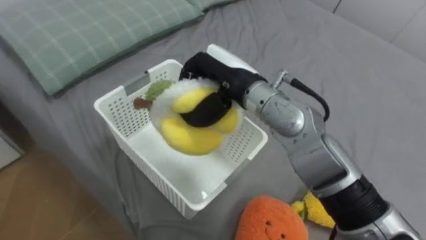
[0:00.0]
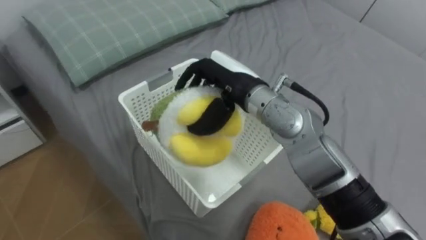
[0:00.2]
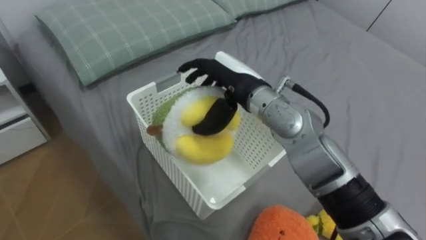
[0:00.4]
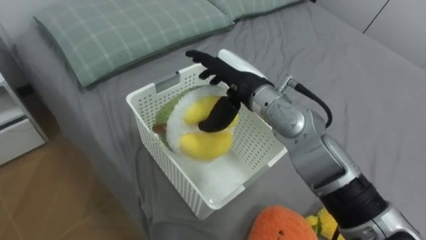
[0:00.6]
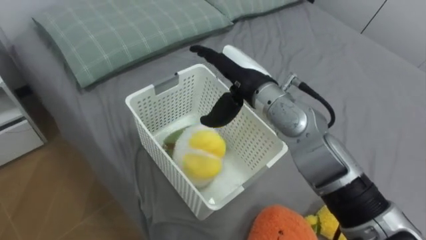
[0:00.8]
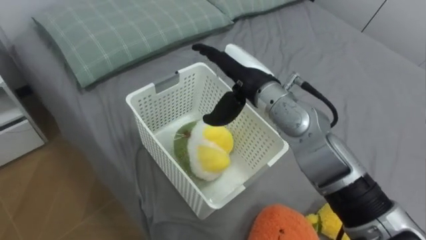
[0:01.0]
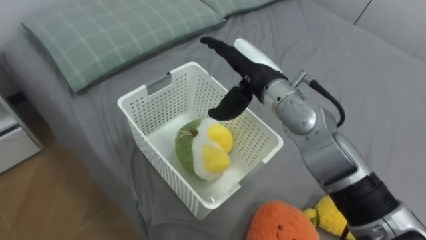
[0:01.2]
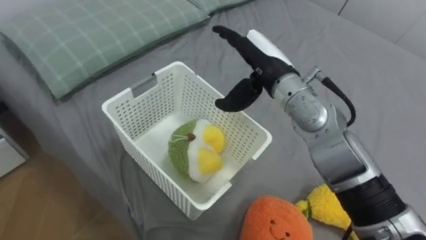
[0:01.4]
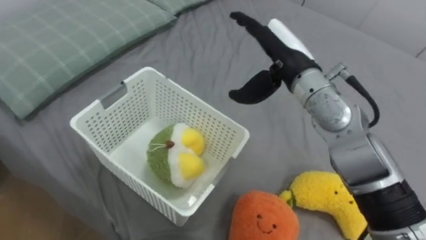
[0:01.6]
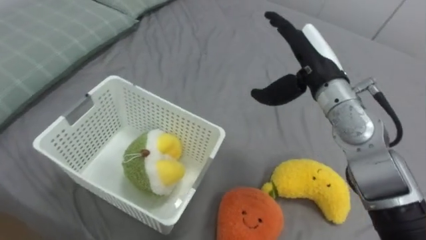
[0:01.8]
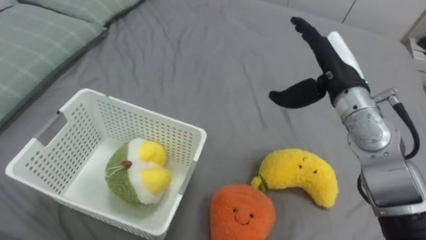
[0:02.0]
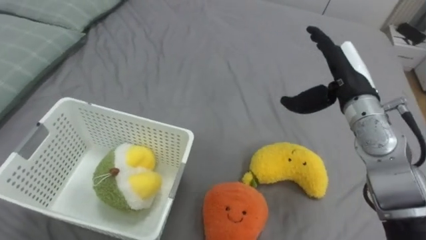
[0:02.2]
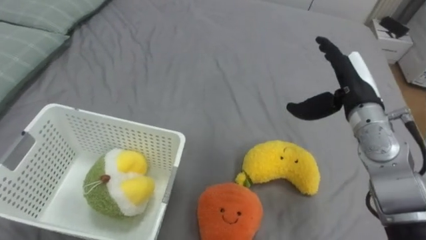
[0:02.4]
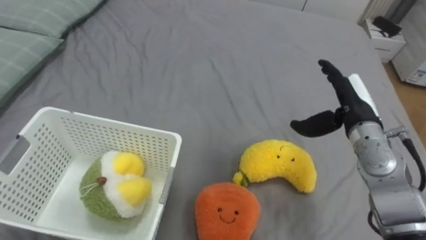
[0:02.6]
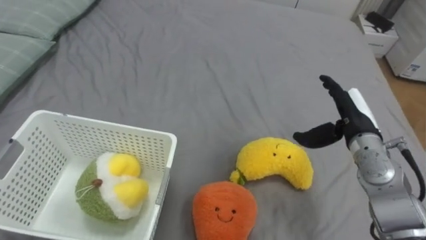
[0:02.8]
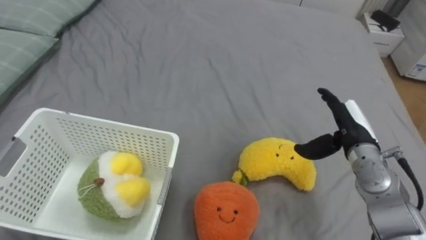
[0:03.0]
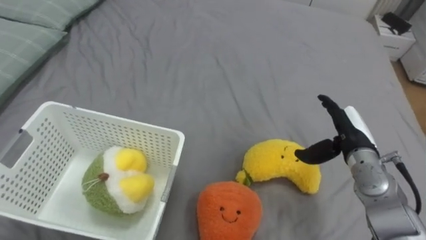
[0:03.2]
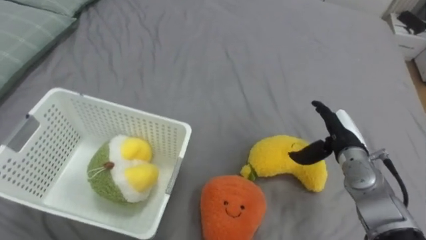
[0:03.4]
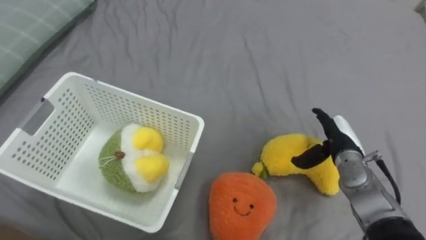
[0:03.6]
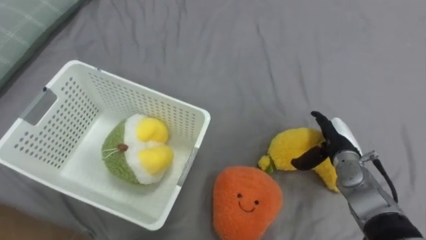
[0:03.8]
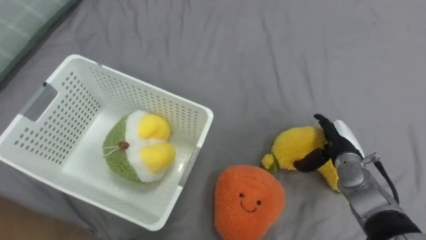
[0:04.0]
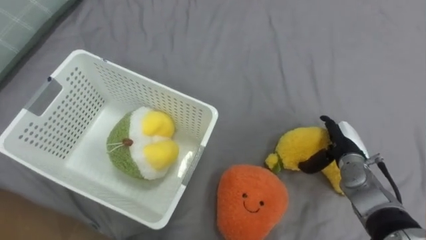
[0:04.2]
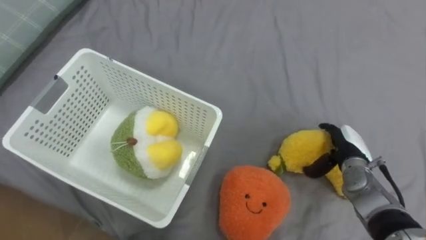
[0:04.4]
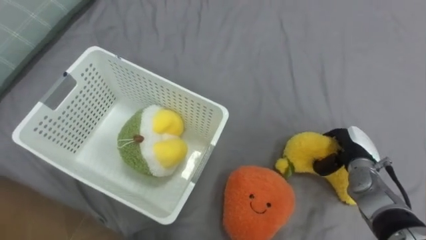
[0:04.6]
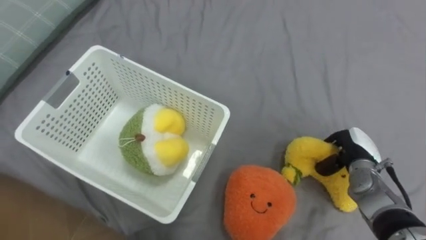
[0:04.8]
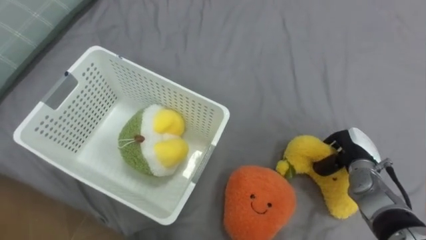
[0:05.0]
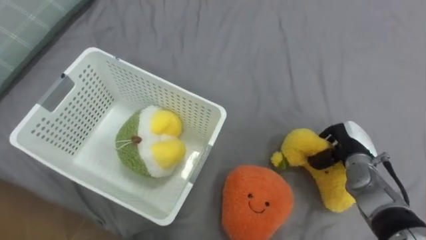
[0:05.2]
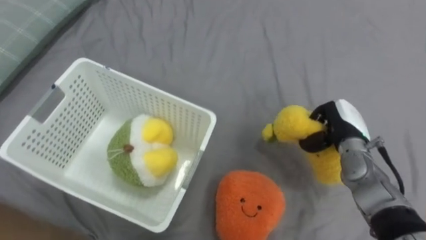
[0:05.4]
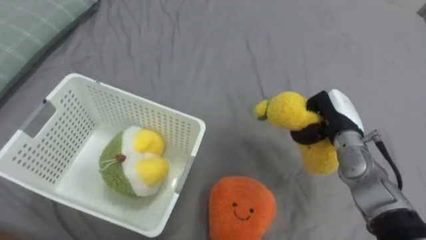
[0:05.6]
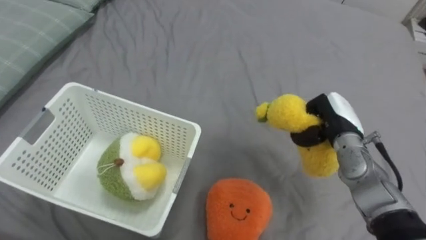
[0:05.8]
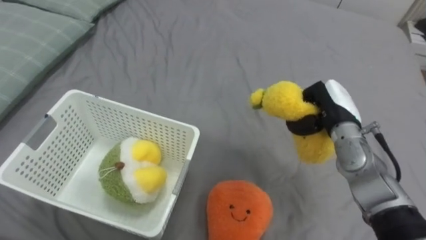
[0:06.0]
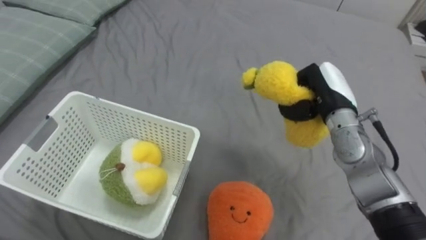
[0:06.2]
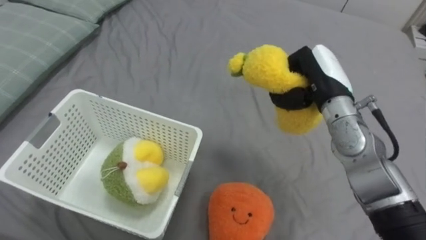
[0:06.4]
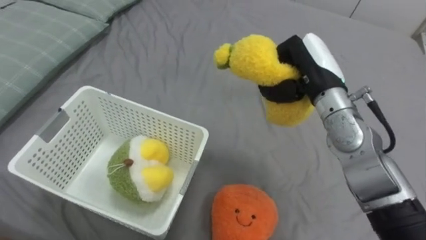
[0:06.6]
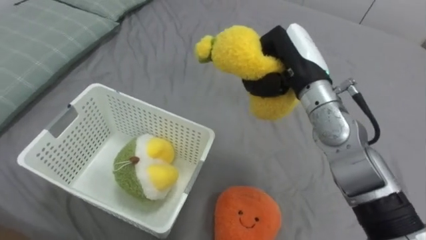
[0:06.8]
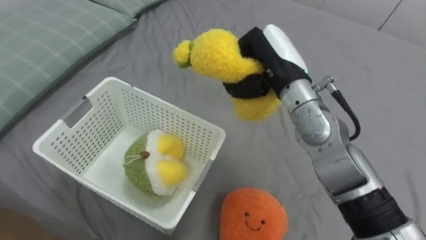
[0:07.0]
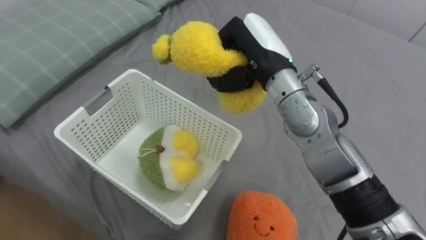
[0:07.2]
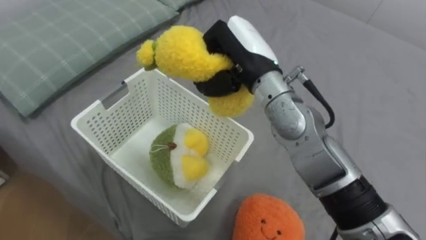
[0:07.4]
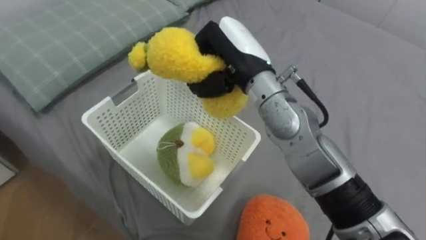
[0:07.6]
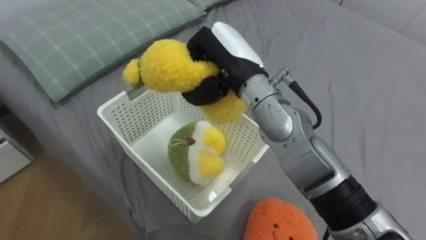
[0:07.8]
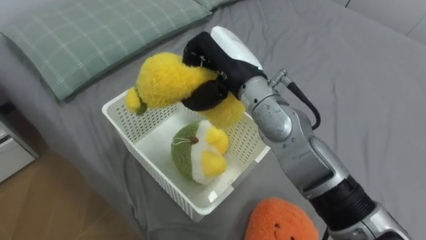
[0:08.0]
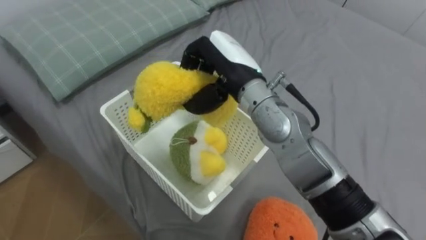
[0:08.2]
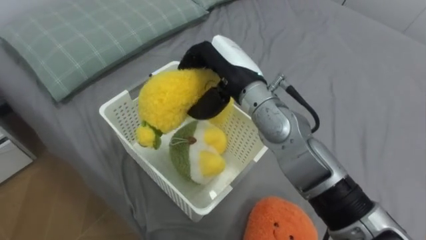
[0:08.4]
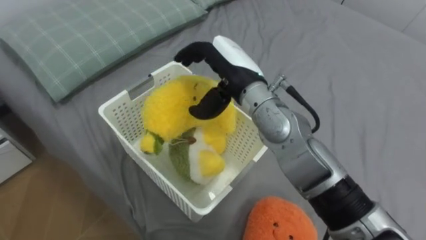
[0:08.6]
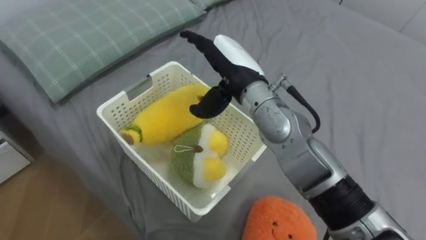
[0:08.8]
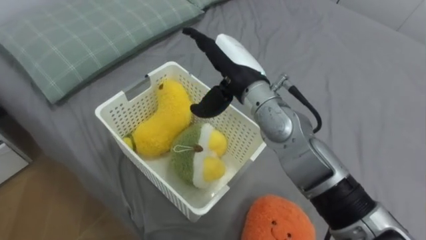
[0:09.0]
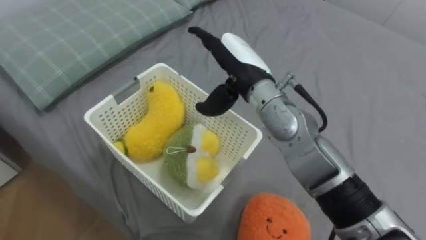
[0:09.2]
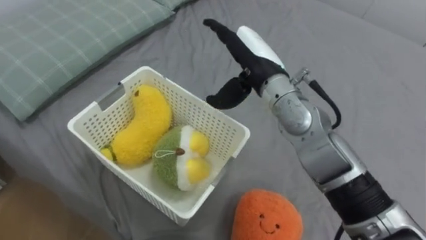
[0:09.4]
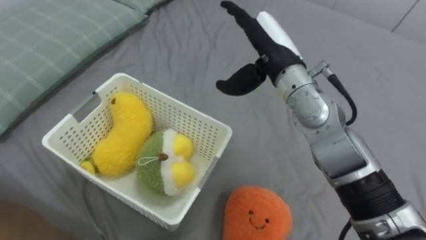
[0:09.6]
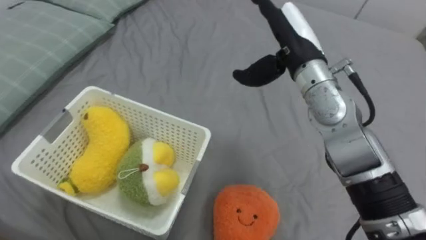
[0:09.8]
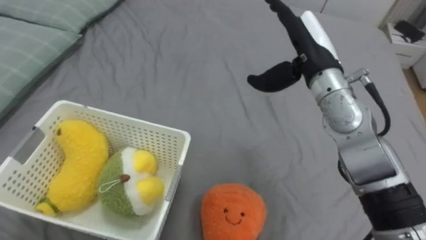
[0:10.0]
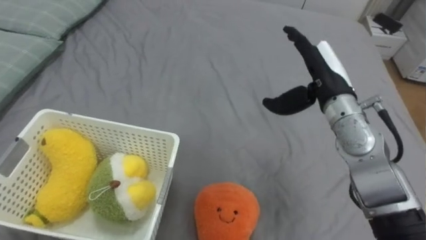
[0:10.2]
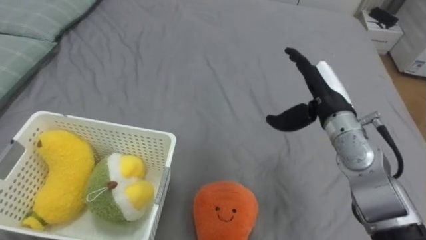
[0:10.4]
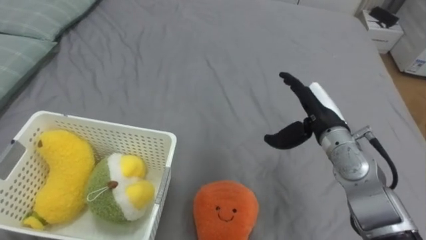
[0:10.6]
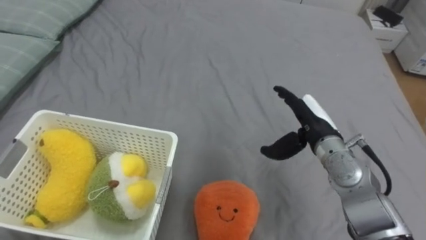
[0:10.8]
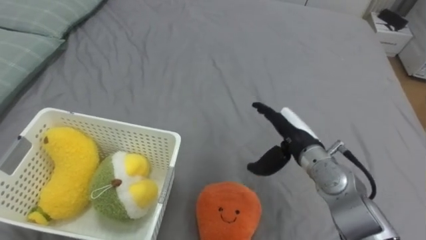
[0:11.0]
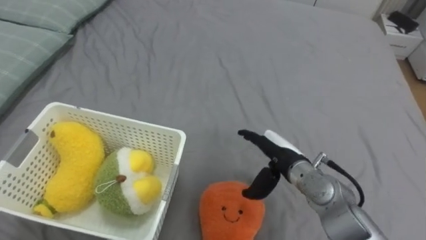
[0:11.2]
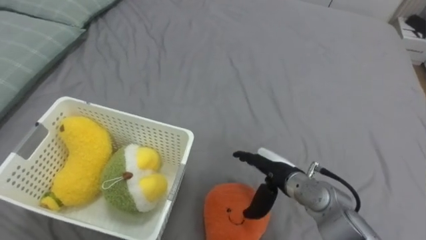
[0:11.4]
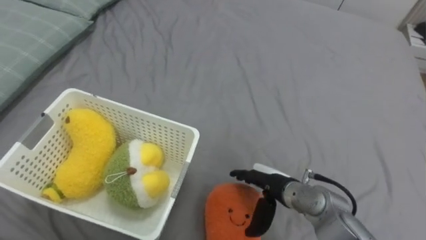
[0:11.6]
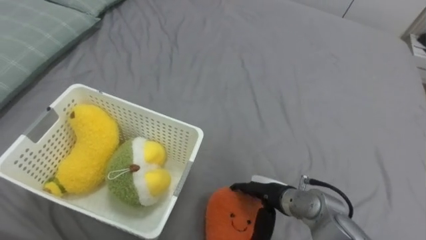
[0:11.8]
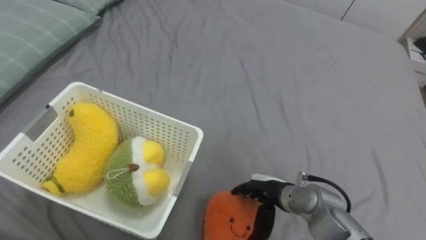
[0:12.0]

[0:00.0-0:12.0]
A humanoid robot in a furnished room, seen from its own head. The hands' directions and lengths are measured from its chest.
Task of the whole recording: Put the toys on the bed into the basket on the left.
0:00.0 to 0:01.6: The right hand goes some 10 cm to the right, and opens.
0:01.6 to 0:03.0: The right hand heads to the right and downward, covering some 20 cm.
0:03.0 to 0:04.4: The right hand heads downward, covering roughly 10 cm.
0:04.4 to 0:06.0: The right hand moves upward and to the left, roughly 10 cm, and closes.
0:06.0 to 0:07.6: The right hand moves to the left and upward, some 25 cm.
0:07.6 to 0:09.0: The right hand opens.
0:09.0 to 0:10.4: The right hand moves to the right, about 15 cm.
0:10.4 to 0:12.0: The right hand shifts about 20 cm downward, backward and to the left.

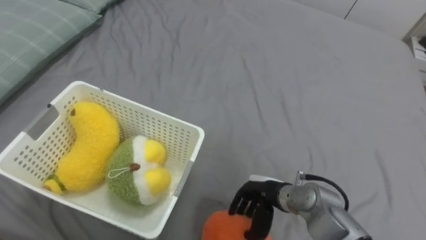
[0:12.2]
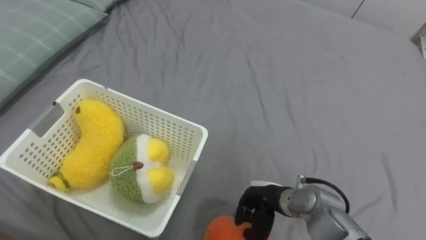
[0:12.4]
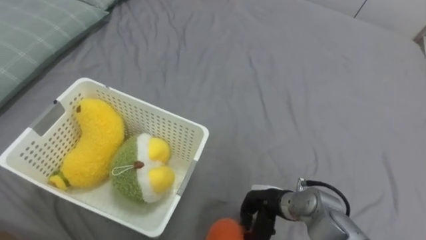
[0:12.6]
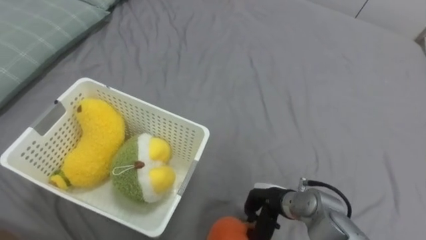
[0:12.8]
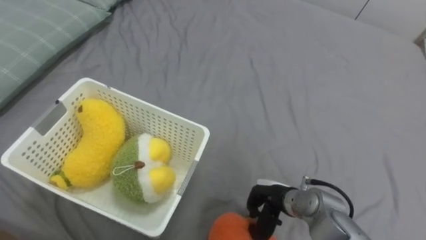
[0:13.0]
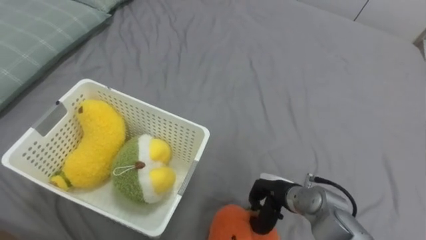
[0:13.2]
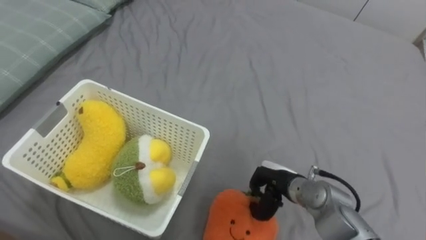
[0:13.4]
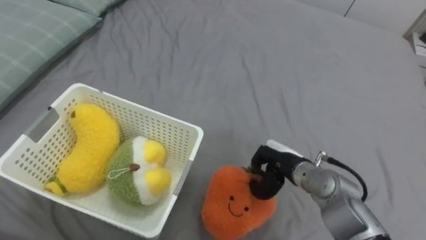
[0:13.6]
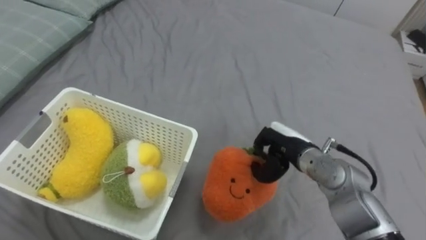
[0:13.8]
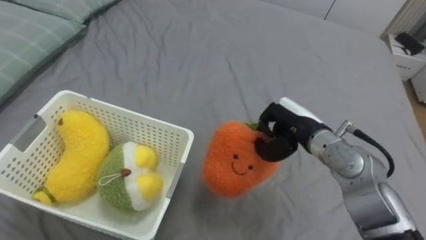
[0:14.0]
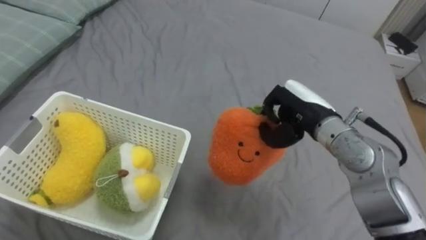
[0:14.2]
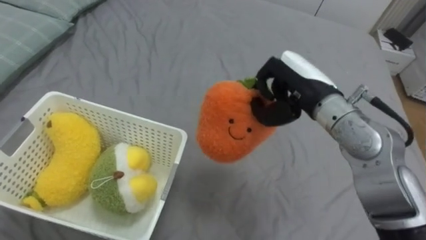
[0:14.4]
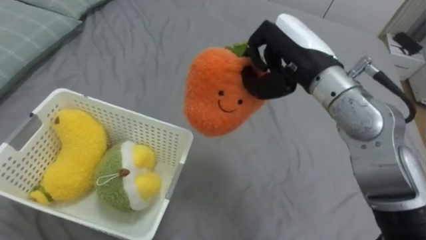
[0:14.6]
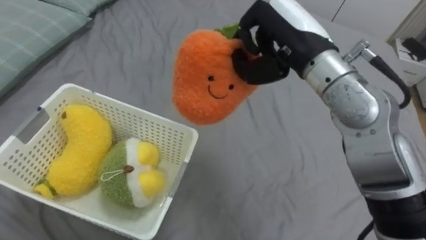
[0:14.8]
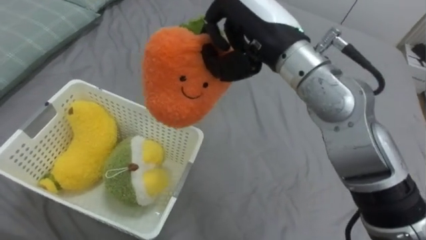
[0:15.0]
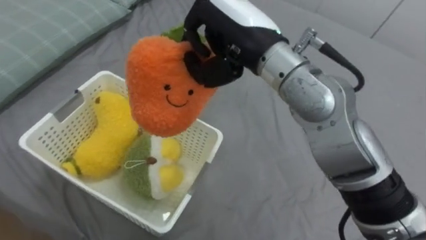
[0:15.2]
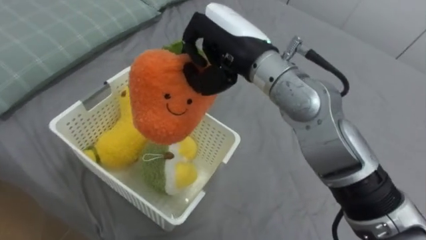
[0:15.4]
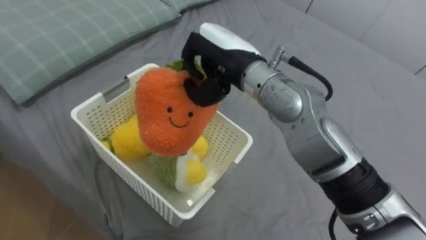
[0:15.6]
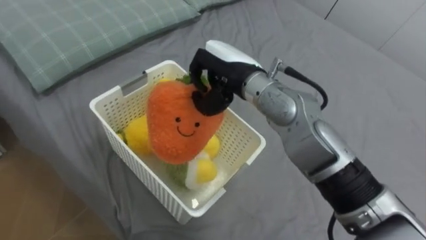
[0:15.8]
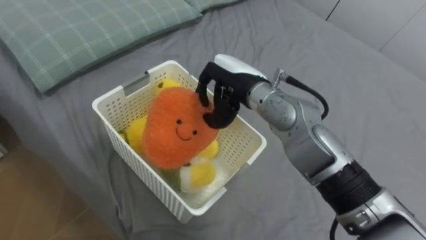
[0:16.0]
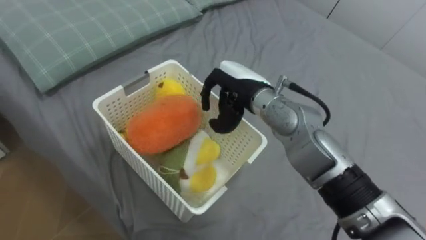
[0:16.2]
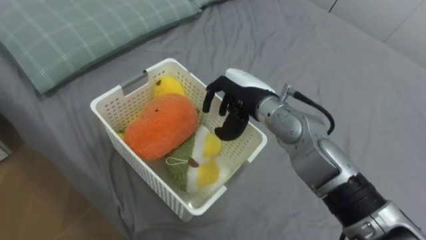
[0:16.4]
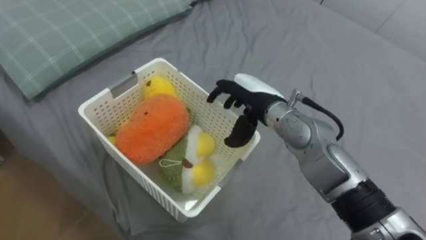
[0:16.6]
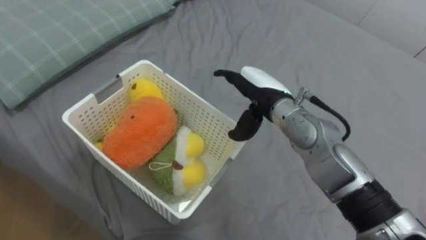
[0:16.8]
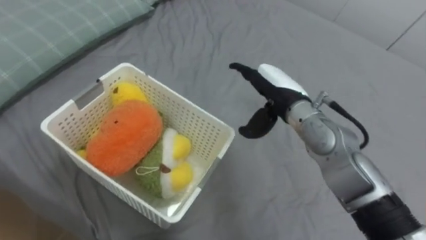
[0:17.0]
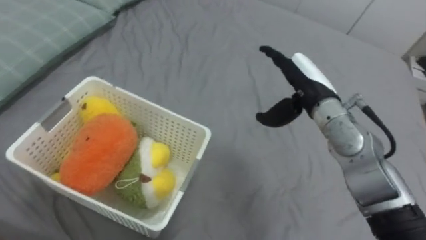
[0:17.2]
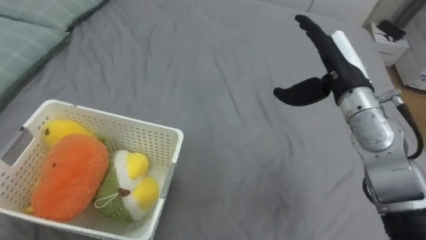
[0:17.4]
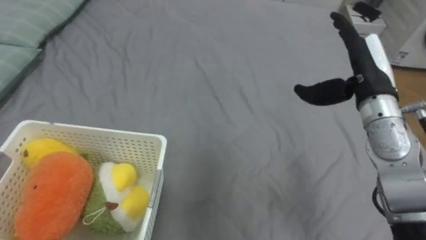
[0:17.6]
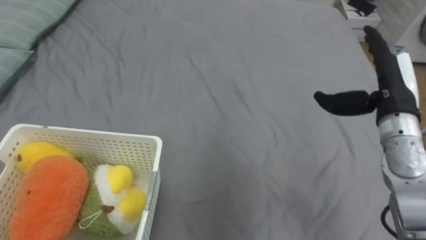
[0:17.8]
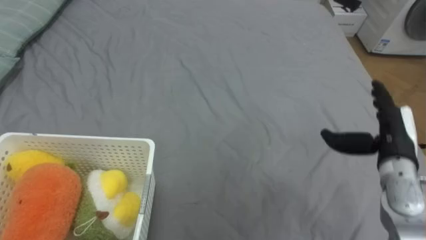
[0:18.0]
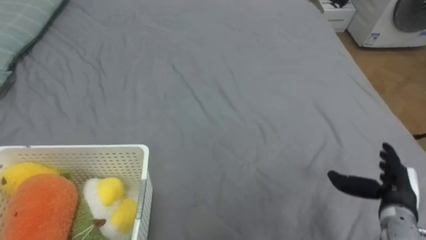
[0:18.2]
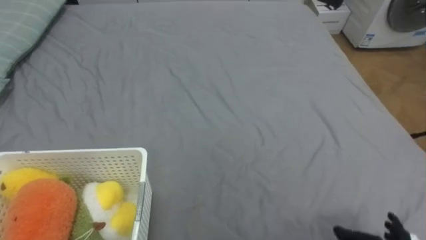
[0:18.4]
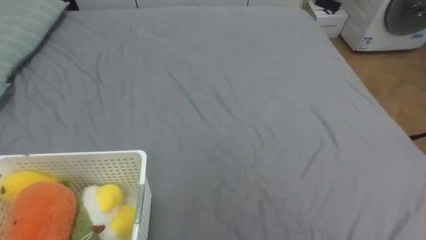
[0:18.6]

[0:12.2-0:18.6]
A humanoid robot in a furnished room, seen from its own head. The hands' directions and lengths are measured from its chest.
Task of the whole recording: Put the toys on the bed into the basket on the left.
0:12.2 to 0:13.8: The right hand travels upward and forward by about 10 cm, and closes up.
0:13.8 to 0:15.4: The right hand shifts approximately 25 cm upward and to the left.
0:15.4 to 0:17.0: The right hand shifts roughly 15 cm downward and to the right, and opens its fingers.
